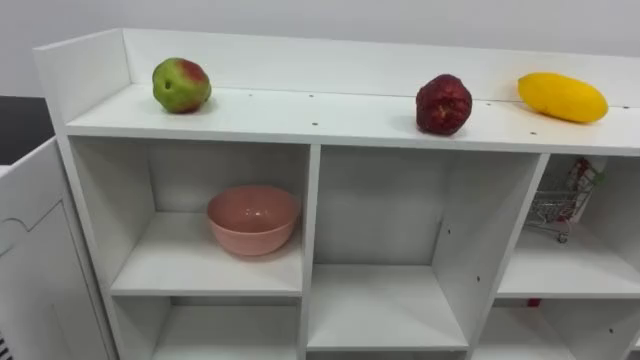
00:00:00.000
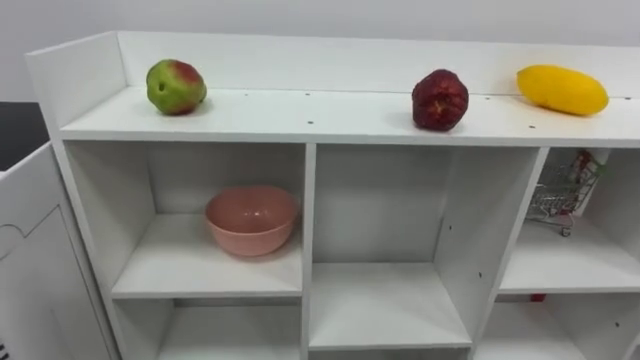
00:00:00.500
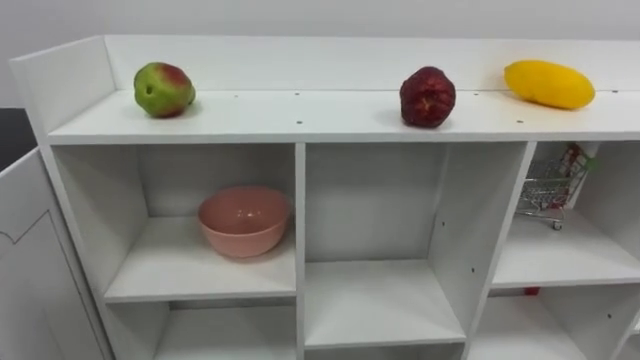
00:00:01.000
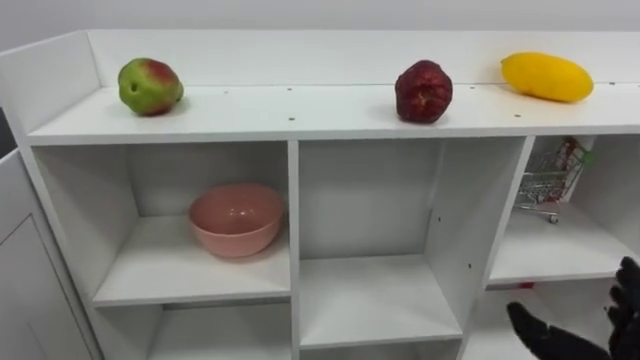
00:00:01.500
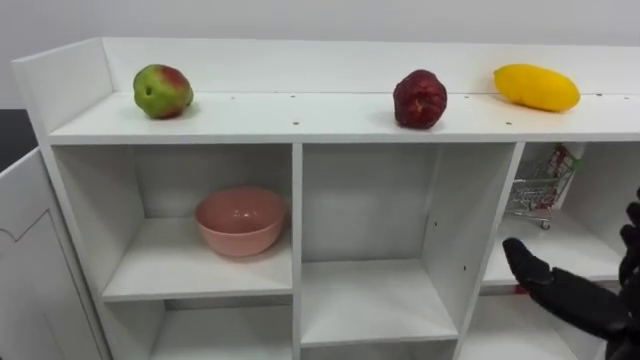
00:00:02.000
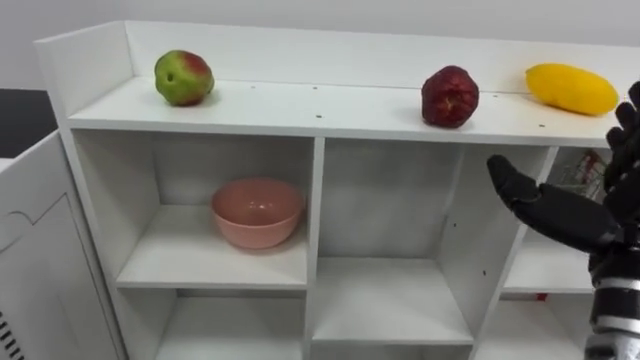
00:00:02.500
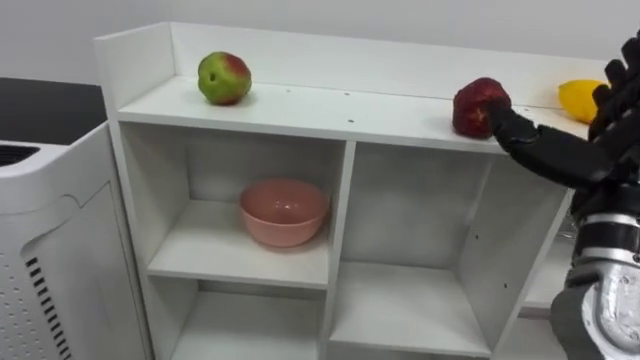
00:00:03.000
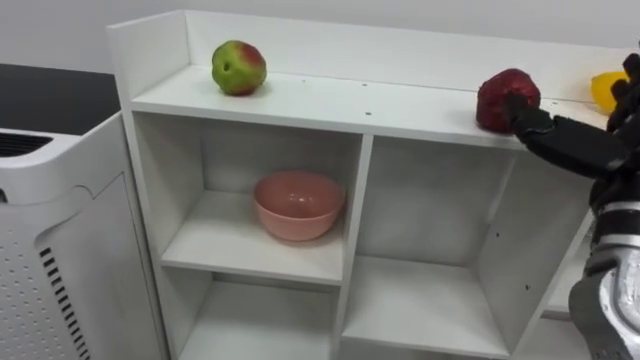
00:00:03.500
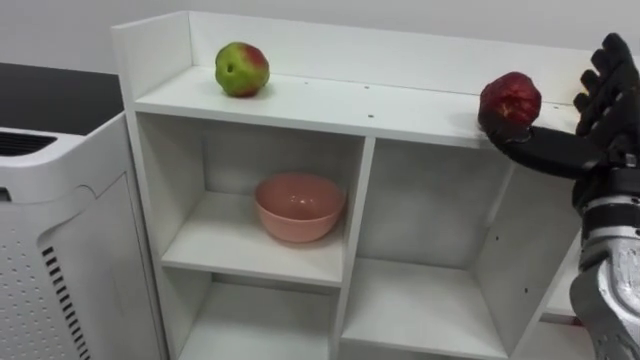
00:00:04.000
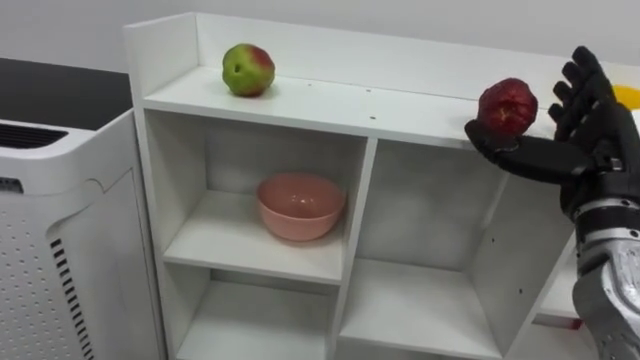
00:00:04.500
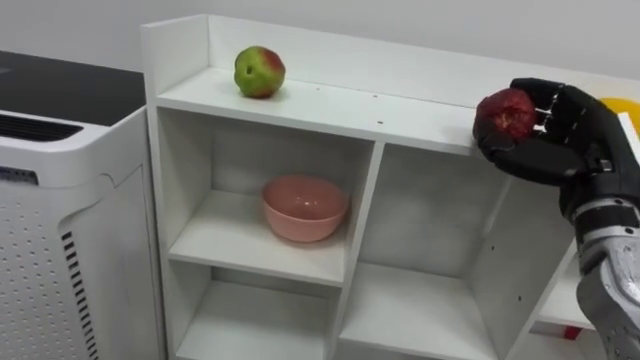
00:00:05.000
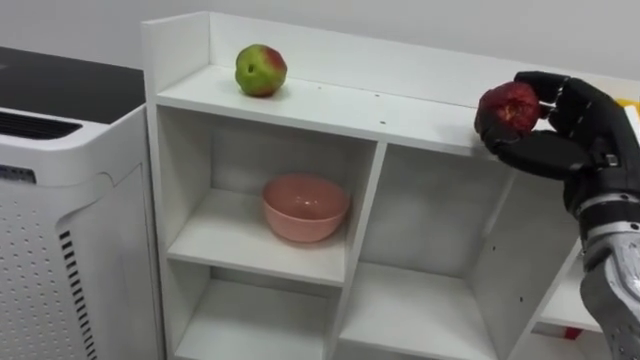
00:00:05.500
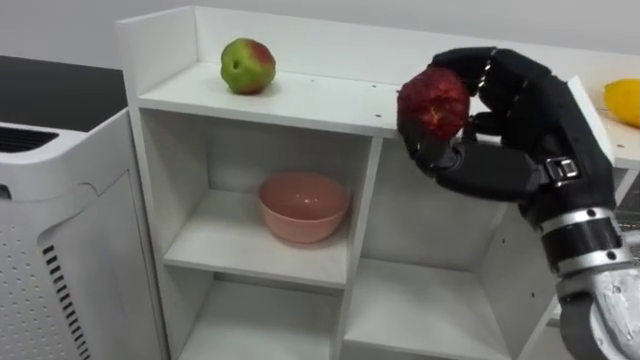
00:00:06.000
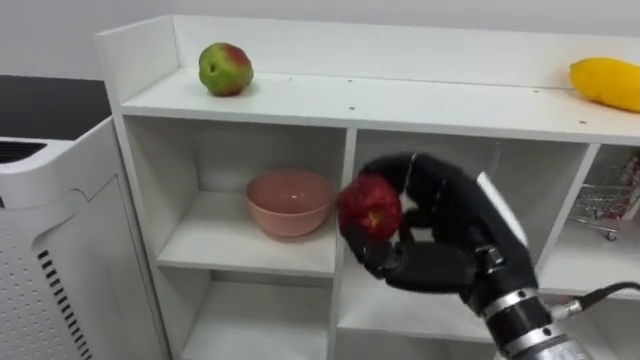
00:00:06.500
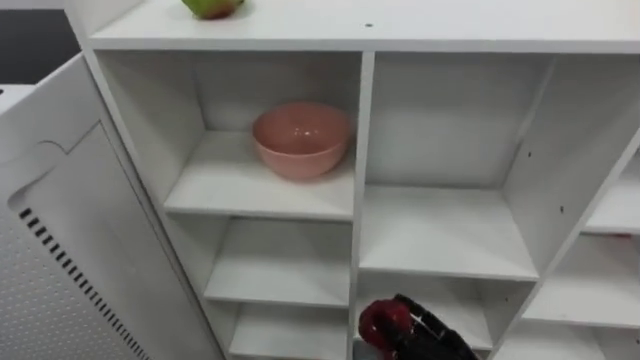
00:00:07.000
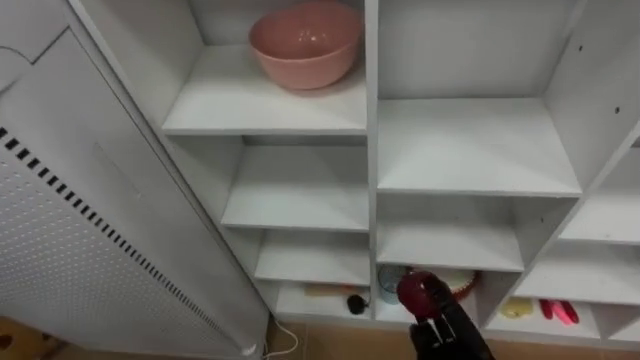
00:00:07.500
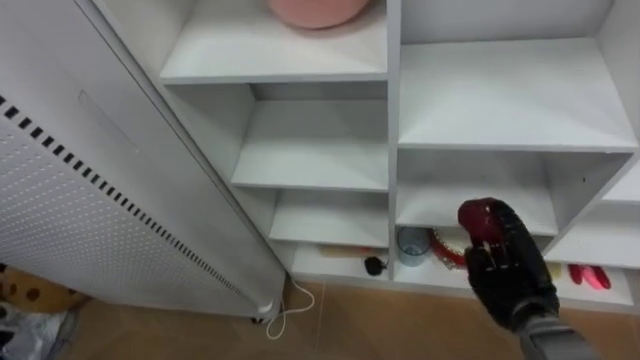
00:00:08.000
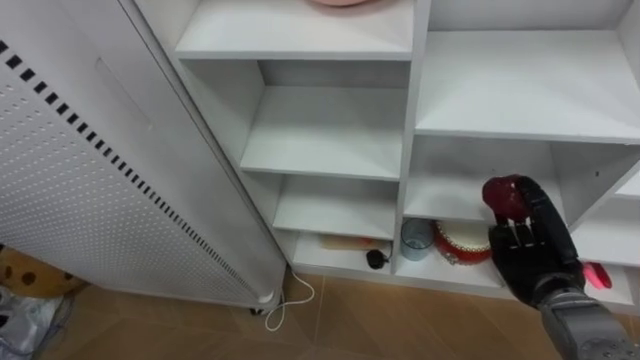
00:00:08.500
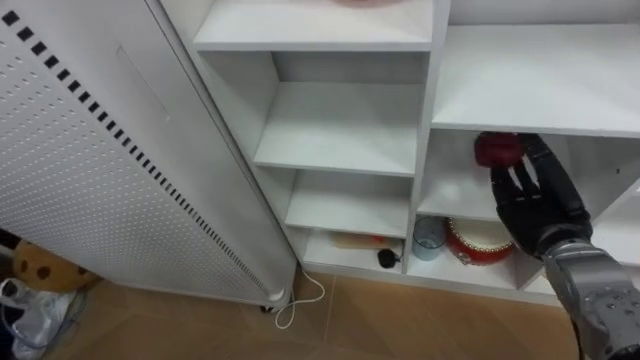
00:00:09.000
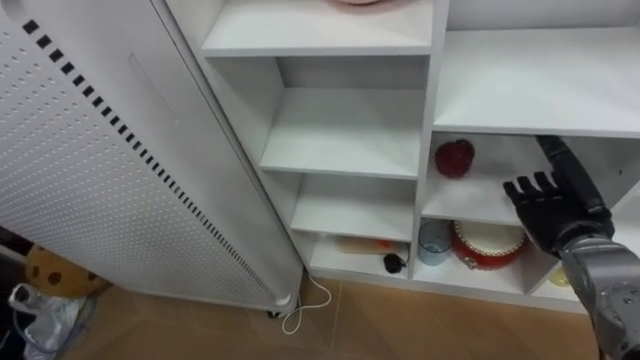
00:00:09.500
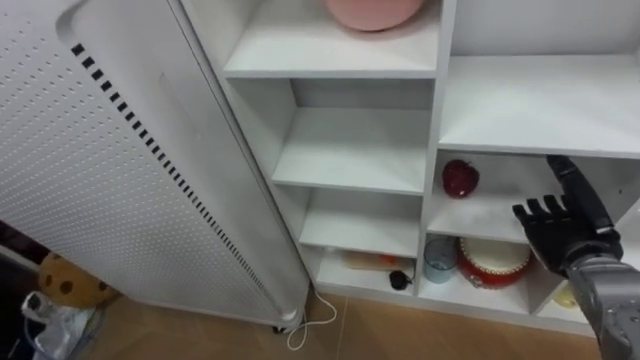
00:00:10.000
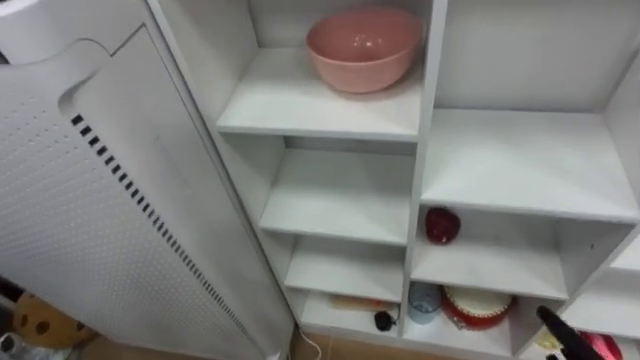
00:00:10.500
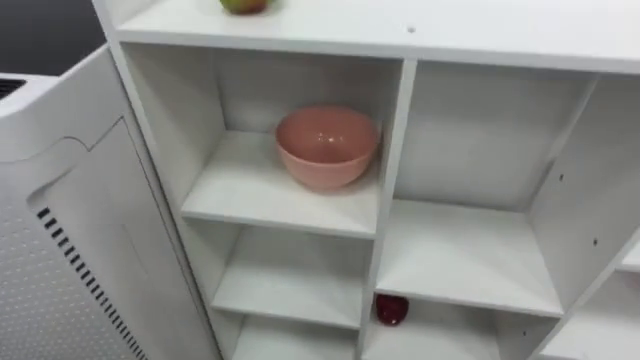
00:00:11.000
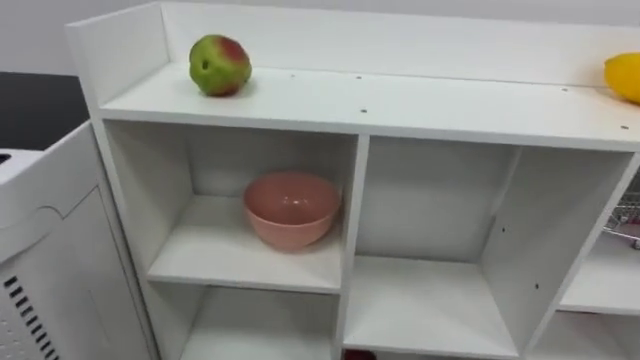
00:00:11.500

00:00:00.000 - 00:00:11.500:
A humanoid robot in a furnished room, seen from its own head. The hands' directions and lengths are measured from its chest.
Task of the whole recording: Put the apple in the cell in the second column from the left and the second row from the top.
00:00:02.000 - 00:00:04.000: The right hand travels upward and forward by some 15 cm.
00:00:04.000 - 00:00:06.000: The right hand is displaced to the left by some 10 cm, and closes its fingers.

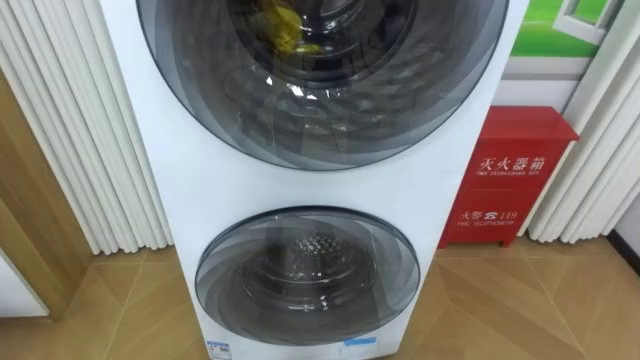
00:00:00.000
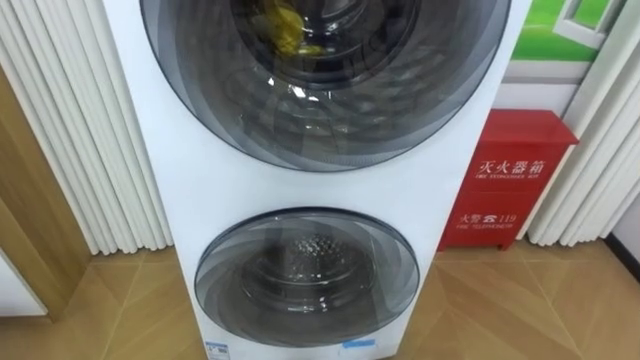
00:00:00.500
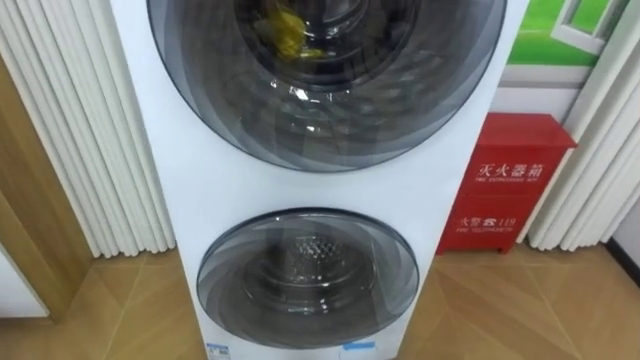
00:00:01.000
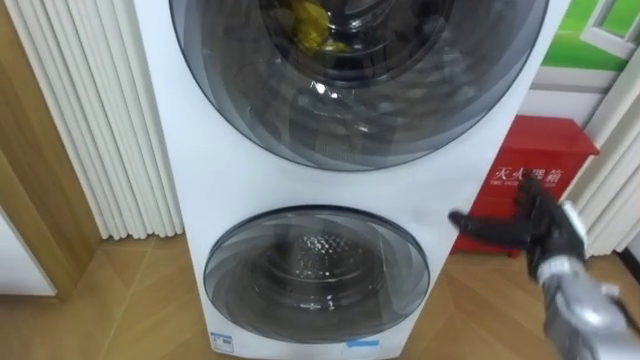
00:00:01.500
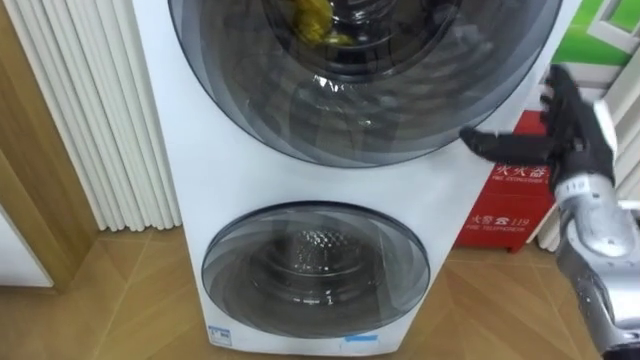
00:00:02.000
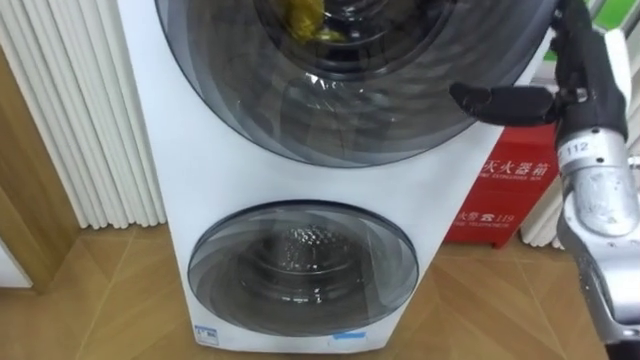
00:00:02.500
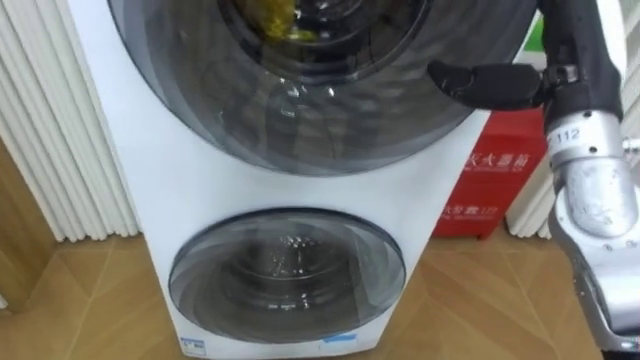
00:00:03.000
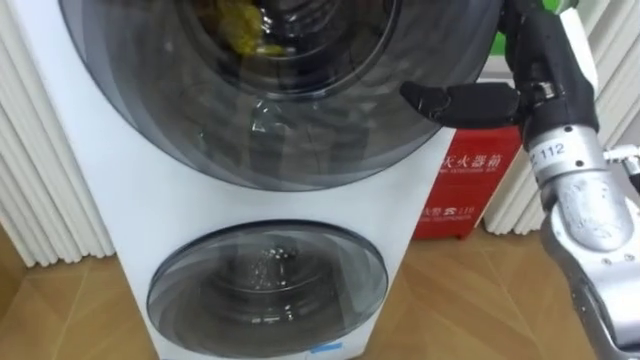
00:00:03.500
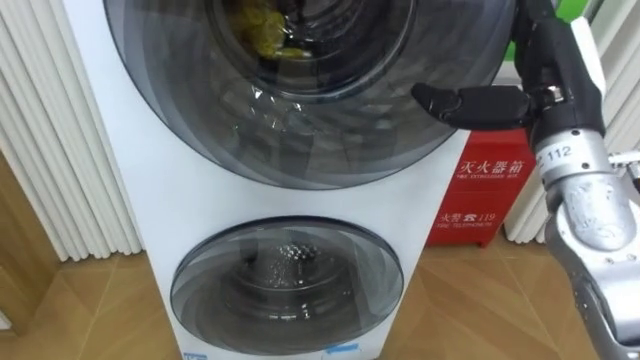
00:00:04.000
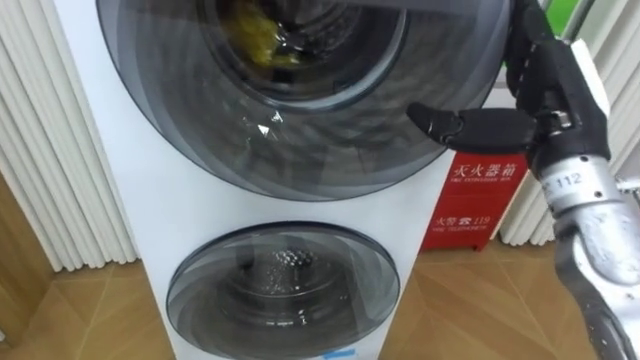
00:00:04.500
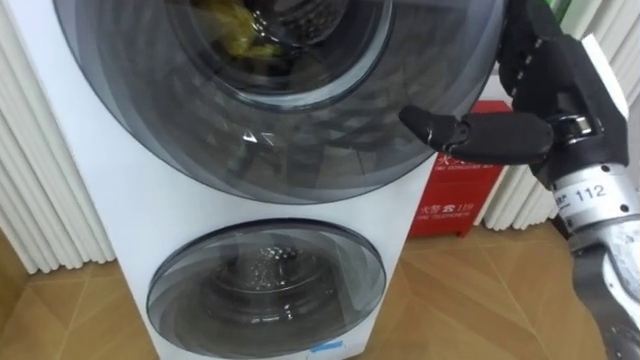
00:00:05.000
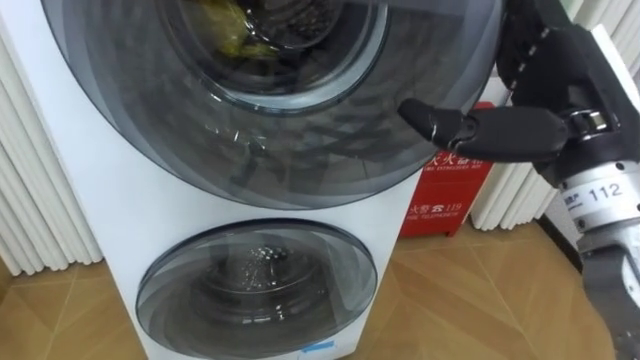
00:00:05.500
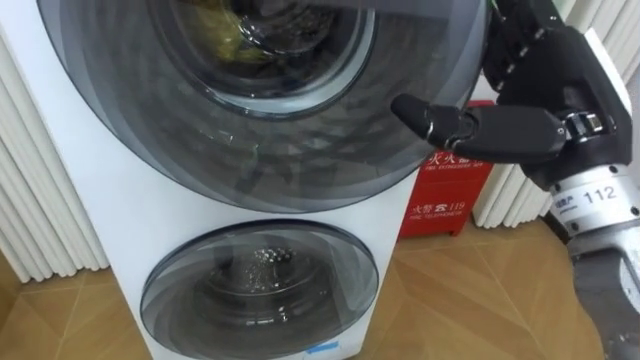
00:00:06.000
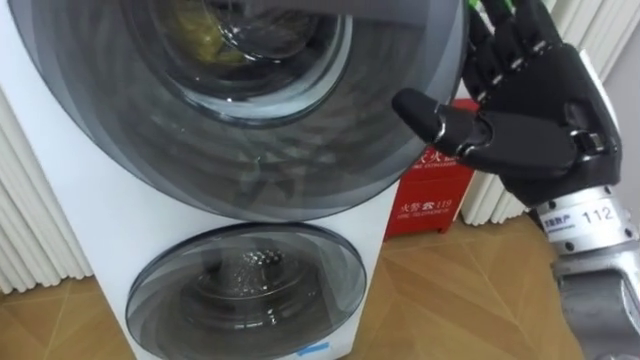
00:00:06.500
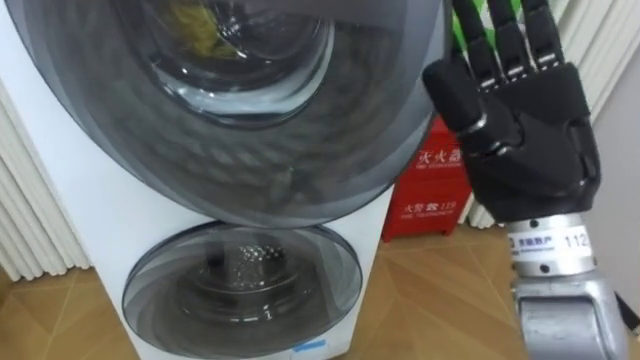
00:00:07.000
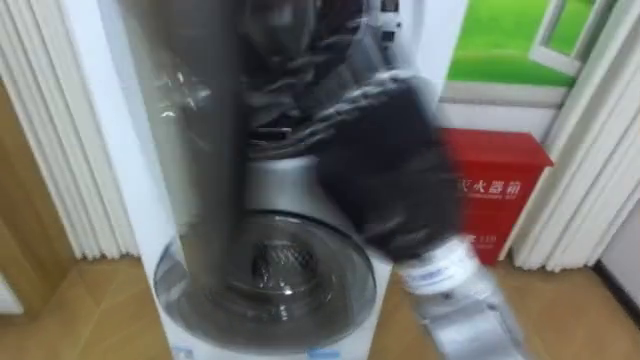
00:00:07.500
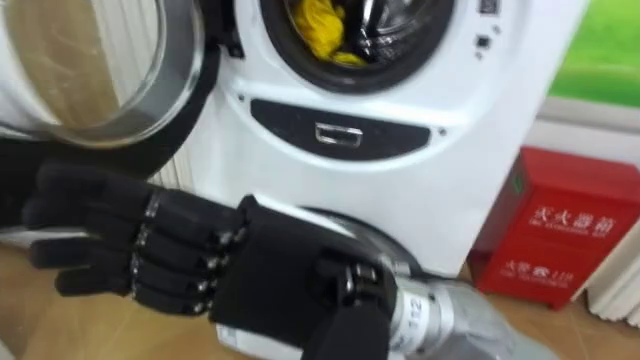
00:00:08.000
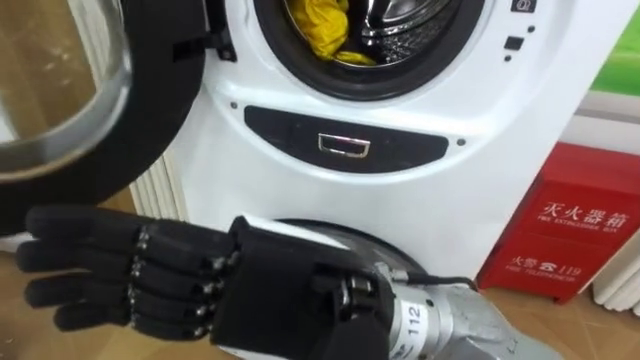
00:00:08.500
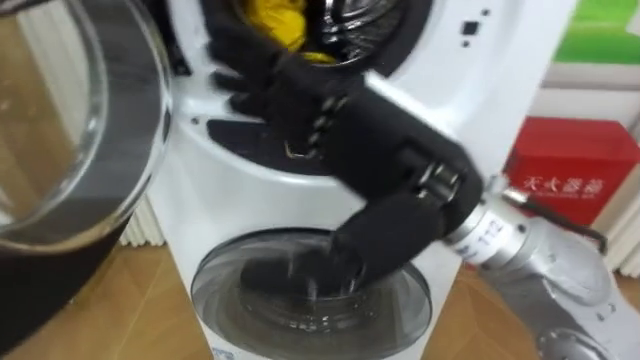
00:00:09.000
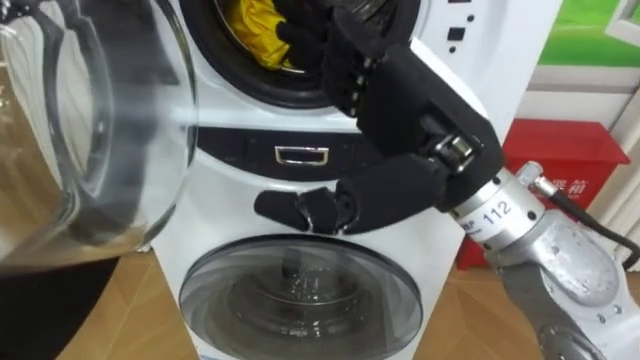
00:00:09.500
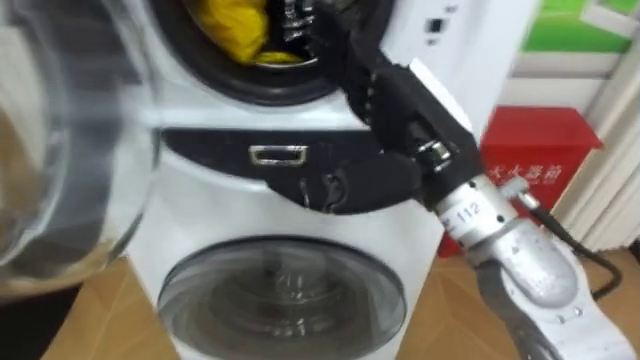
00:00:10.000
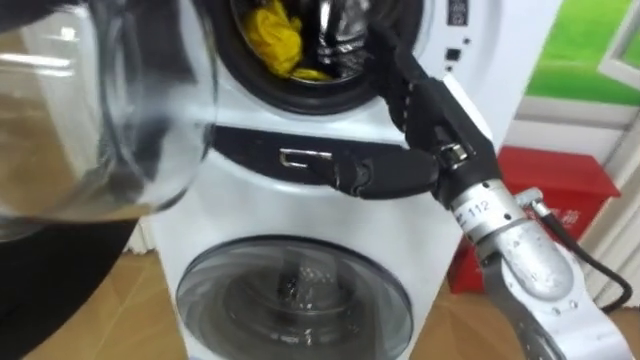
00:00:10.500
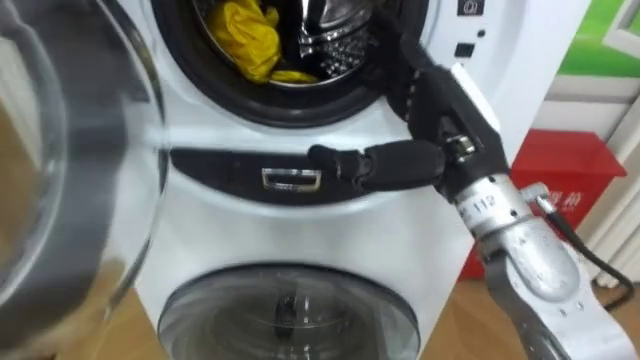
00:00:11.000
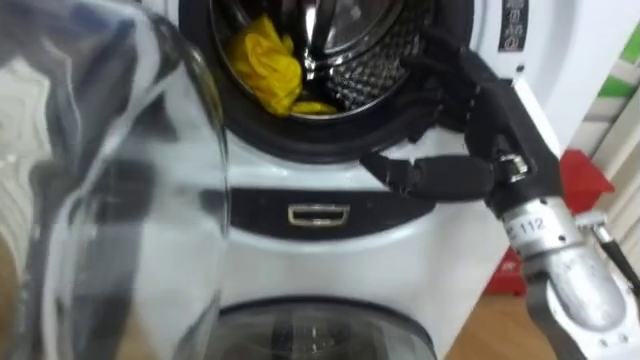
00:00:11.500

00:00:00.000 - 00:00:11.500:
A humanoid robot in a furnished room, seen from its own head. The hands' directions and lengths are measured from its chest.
Task of the whole recording: Open the washing machine door, take out the yellow clothes, place them in the box on the right, and close the washing machine door.
00:00:02.000 - 00:00:04.000: The right hand heads upward and to the left, covering about 10 cm.
00:00:04.000 - 00:00:06.000: The right hand moves backward, some 5 cm.
00:00:06.000 - 00:00:07.500: The right hand goes about 15 cm to the left and backward.
00:00:07.500 - 00:00:09.500: The right hand moves approximately 5 cm backward and comes back.
00:00:09.500 - 00:00:11.500: The right hand shifts approximately 10 cm to the right and downward.
